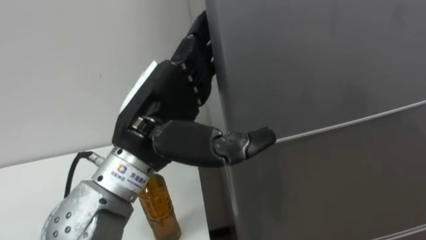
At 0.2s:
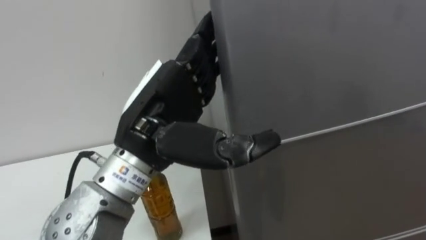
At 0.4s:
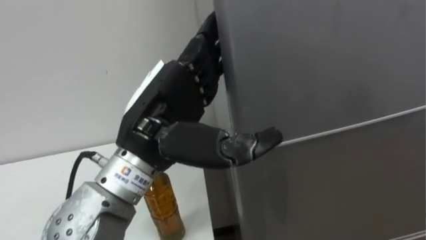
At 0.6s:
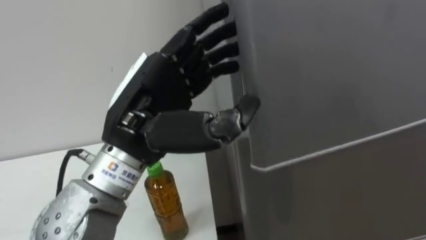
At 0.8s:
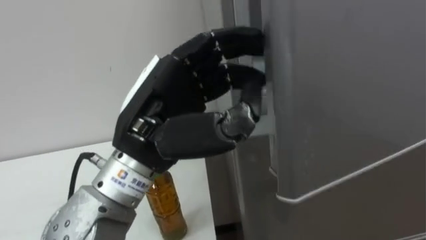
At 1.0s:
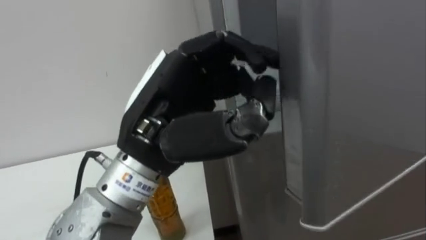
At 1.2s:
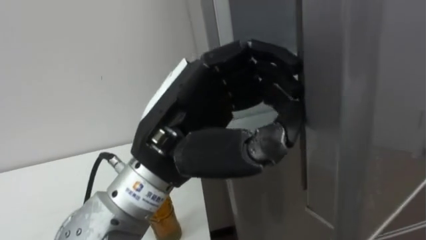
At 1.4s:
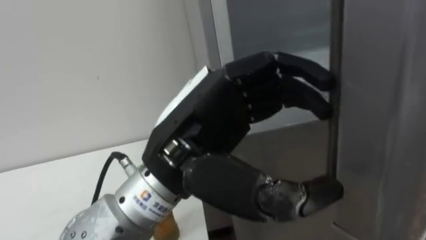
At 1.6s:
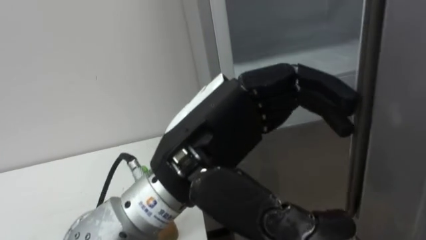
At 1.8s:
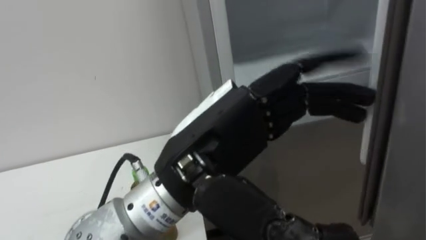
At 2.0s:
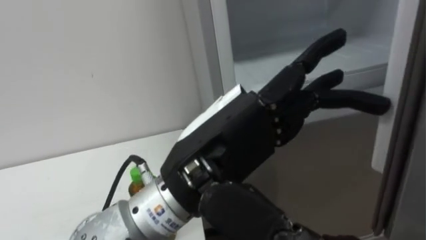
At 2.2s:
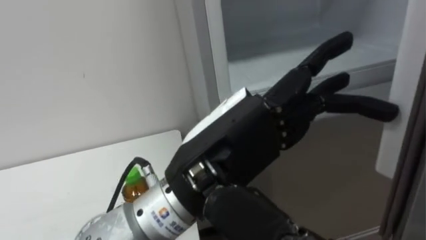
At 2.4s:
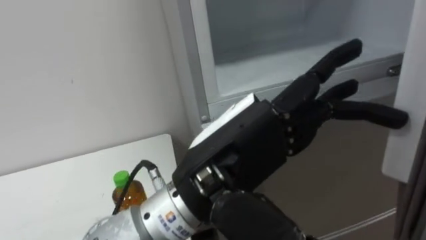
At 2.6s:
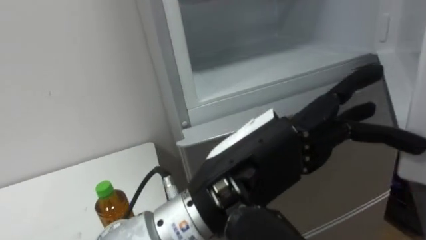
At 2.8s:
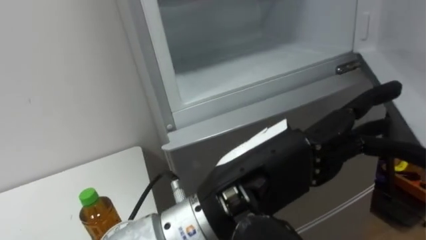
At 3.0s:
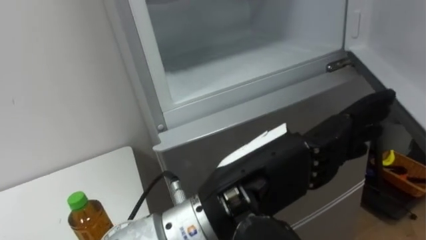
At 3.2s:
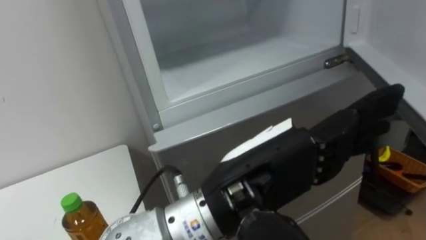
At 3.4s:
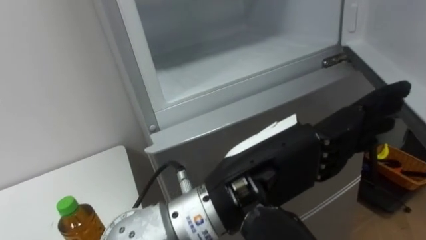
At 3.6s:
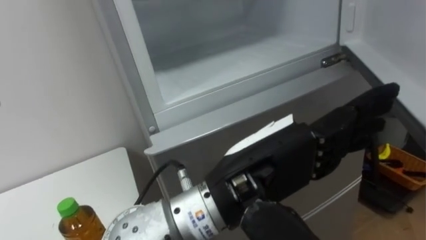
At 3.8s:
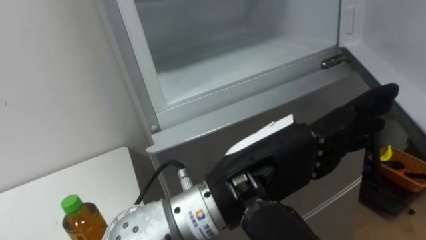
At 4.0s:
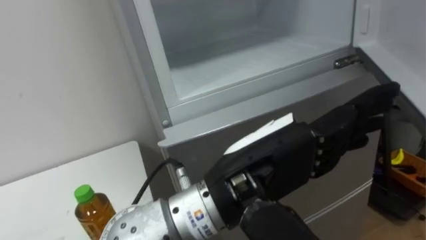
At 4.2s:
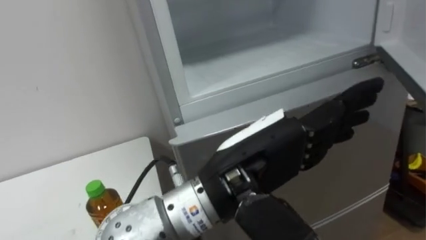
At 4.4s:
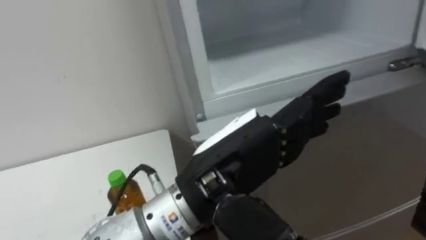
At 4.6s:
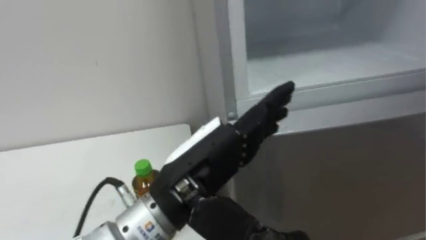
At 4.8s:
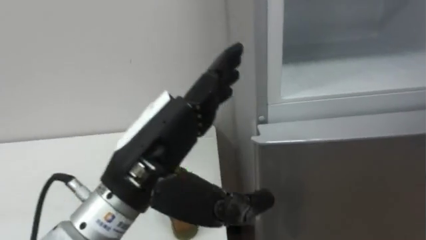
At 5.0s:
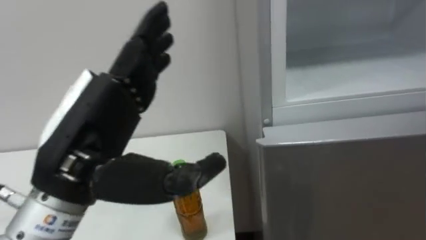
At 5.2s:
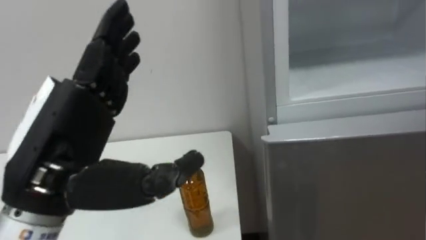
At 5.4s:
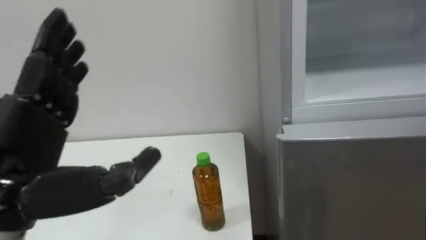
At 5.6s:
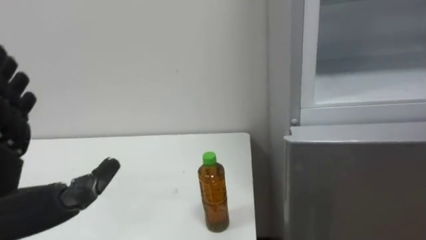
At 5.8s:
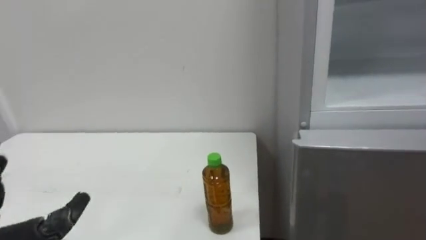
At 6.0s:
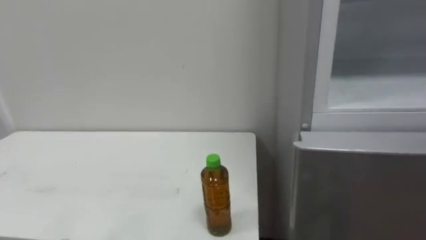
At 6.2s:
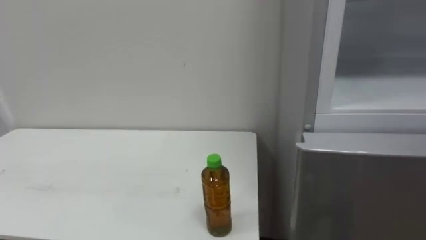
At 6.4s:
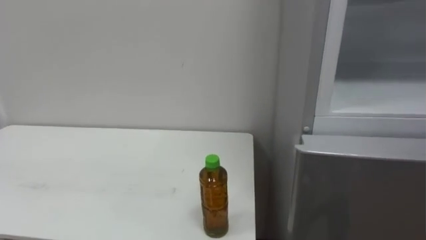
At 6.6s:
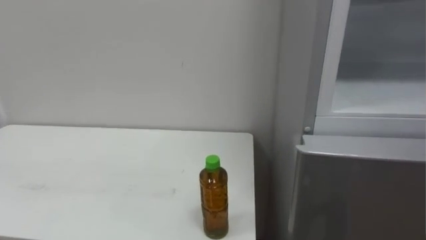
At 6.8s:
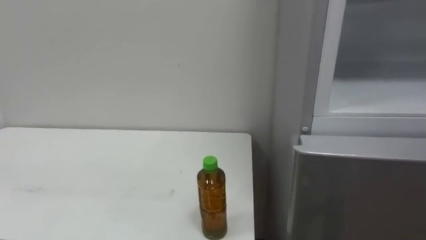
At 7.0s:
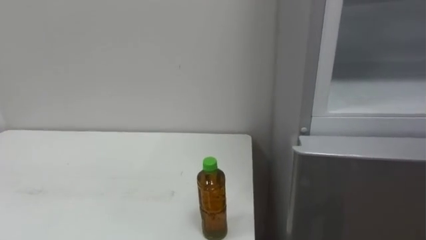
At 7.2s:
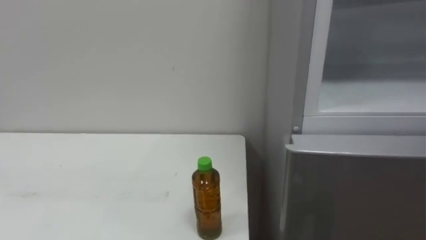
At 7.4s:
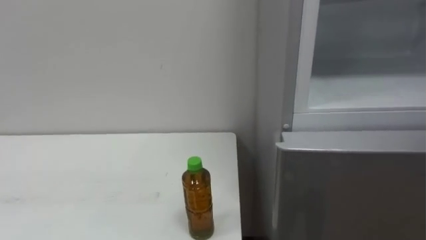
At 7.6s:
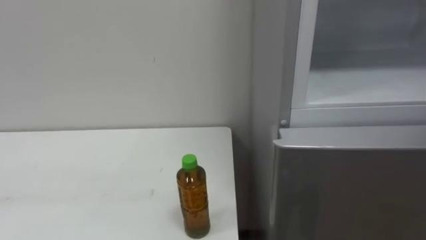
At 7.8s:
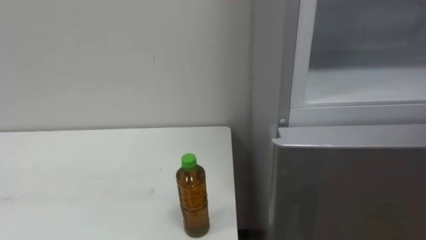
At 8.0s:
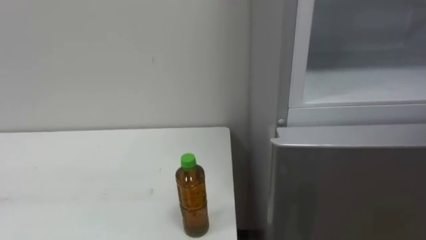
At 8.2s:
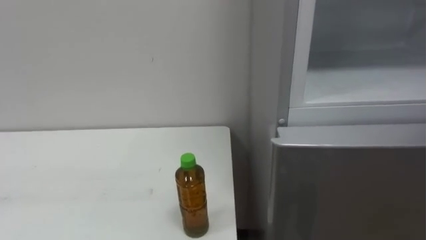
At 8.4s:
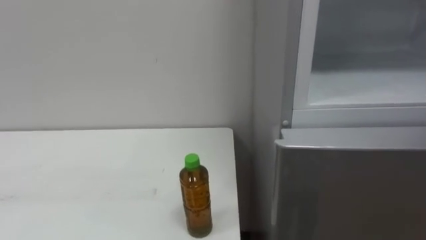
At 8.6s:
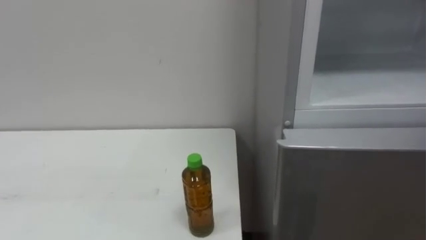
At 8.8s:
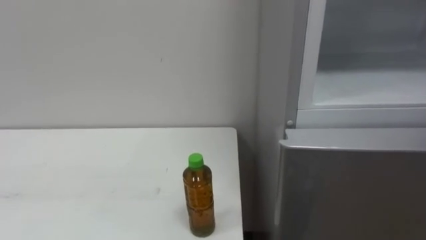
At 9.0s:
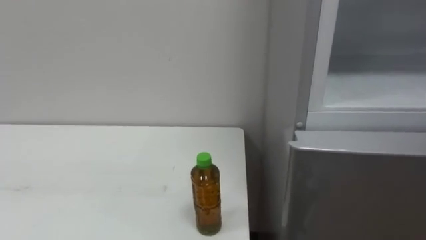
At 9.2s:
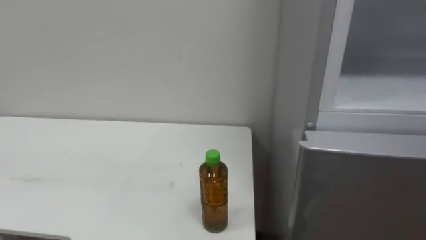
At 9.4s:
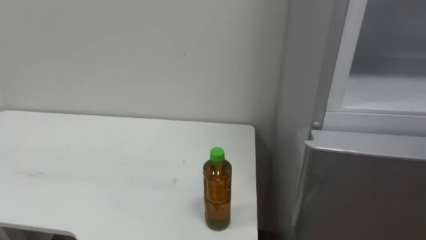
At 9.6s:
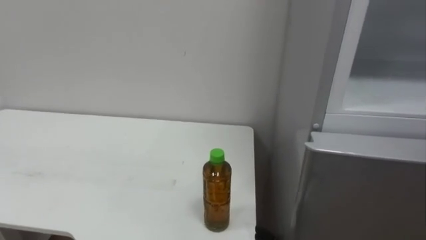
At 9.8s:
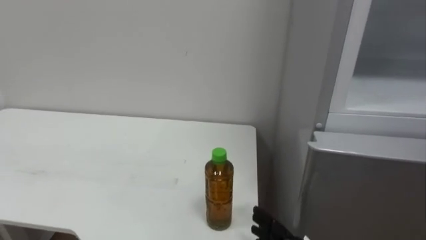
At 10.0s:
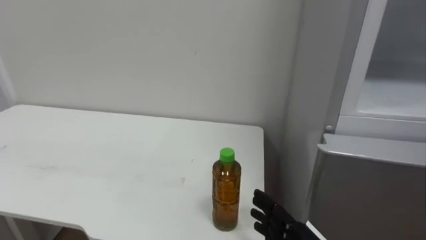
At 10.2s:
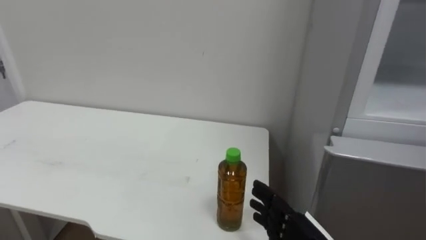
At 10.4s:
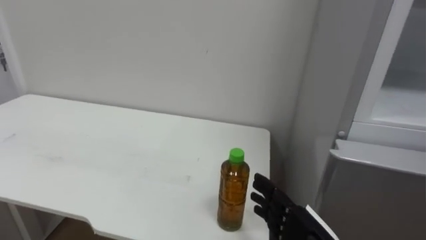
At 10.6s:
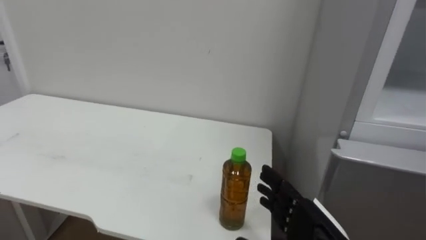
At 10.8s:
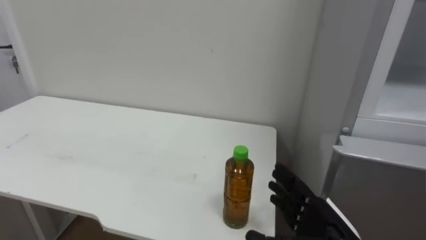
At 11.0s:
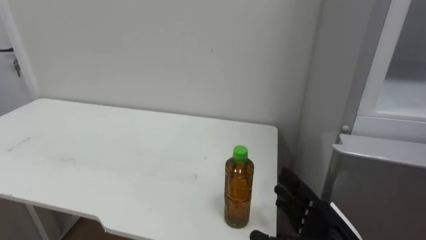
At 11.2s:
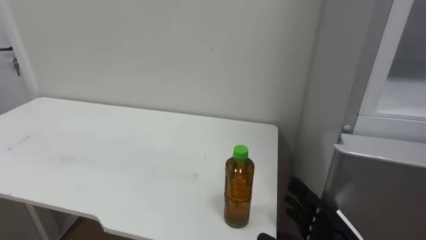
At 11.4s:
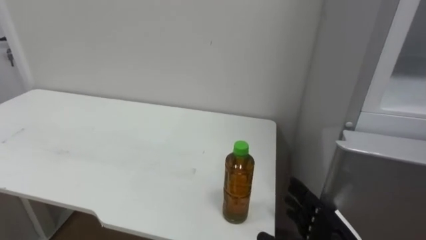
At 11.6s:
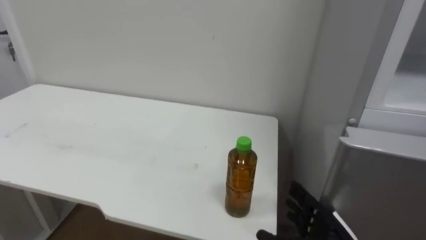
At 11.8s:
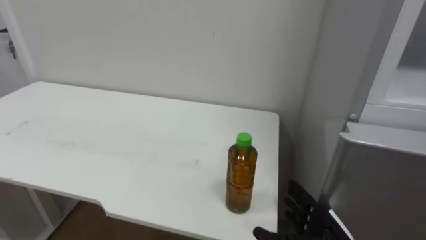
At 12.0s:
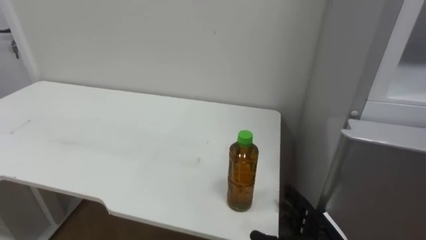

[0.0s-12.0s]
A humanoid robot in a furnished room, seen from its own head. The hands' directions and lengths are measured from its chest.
Task of the whole recording: Open the upper refrigerator door, put the drink from the table into the refrigerator, and then close the refrigerator door.
0.0s to 1.6s: The left hand goes approximately 10 cm to the right and backward, and closes and opens again.
1.6s to 3.0s: The left hand moves about 5 cm.
10.4s to 12.0s: The right hand moves downward, roughly 5 cm.

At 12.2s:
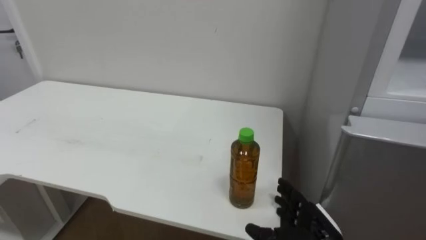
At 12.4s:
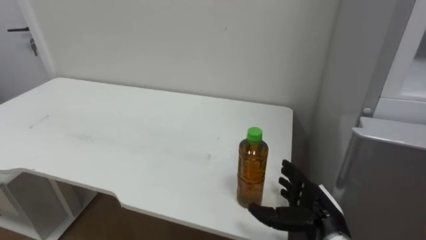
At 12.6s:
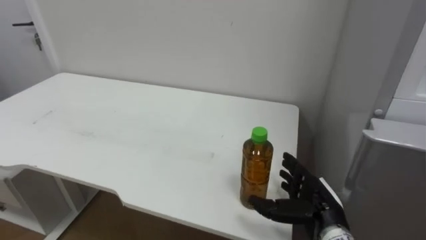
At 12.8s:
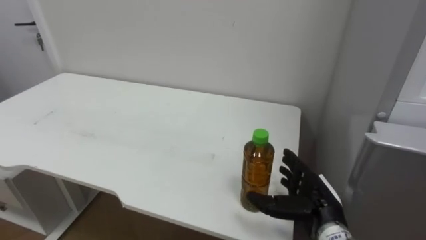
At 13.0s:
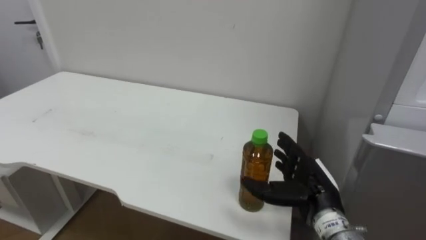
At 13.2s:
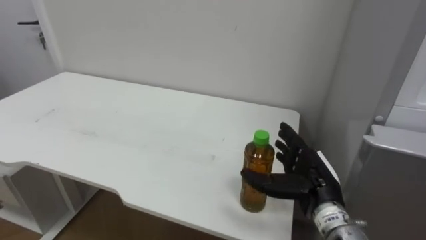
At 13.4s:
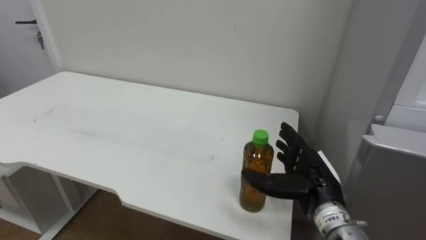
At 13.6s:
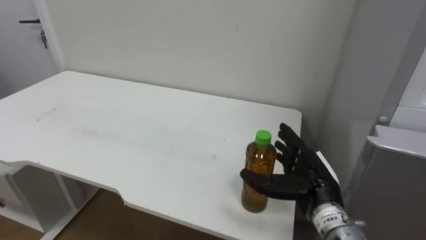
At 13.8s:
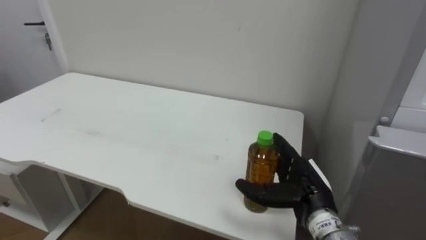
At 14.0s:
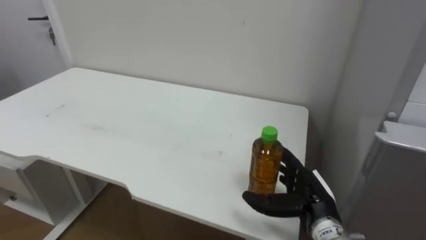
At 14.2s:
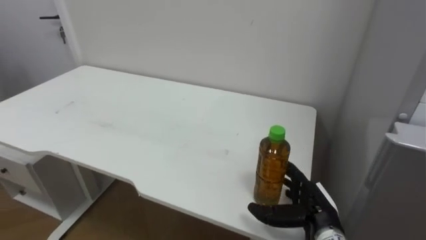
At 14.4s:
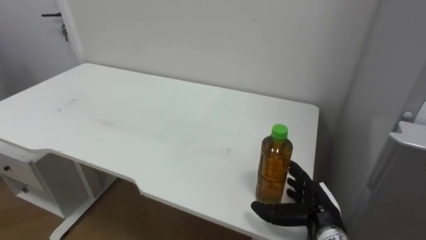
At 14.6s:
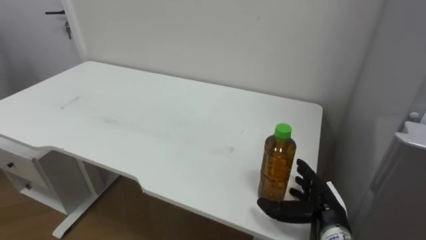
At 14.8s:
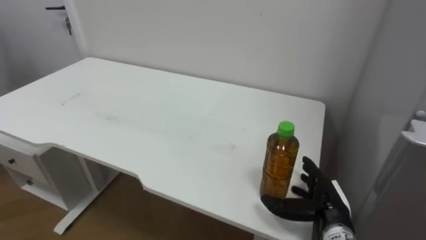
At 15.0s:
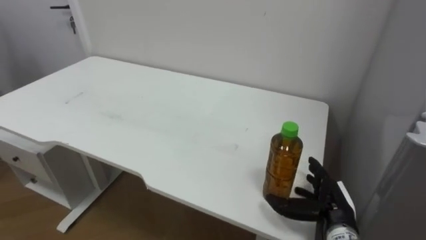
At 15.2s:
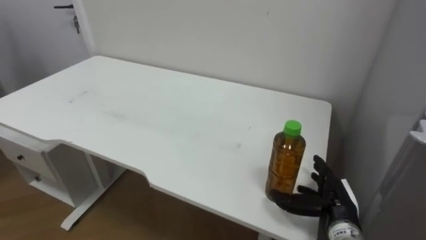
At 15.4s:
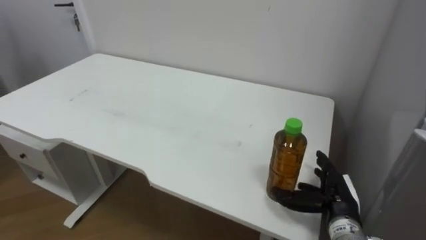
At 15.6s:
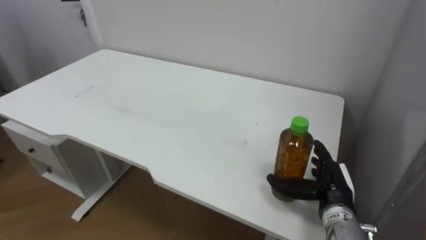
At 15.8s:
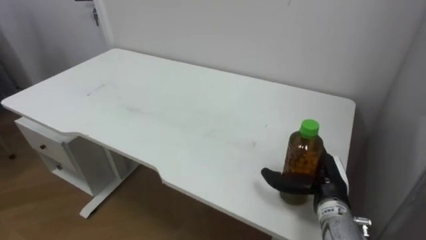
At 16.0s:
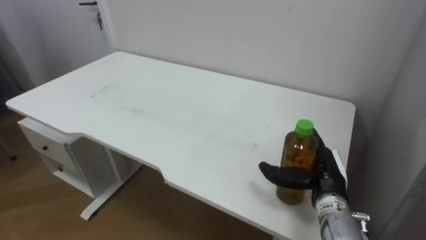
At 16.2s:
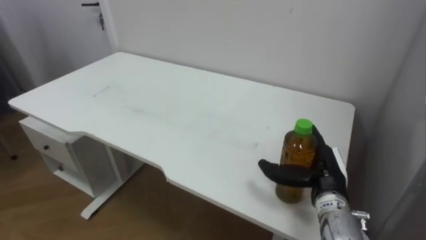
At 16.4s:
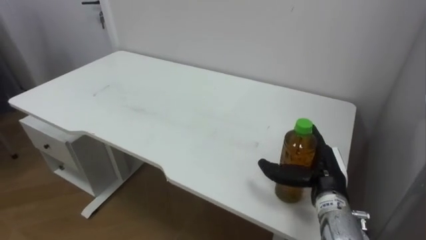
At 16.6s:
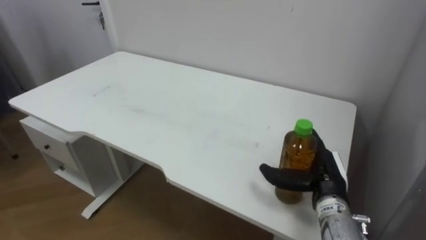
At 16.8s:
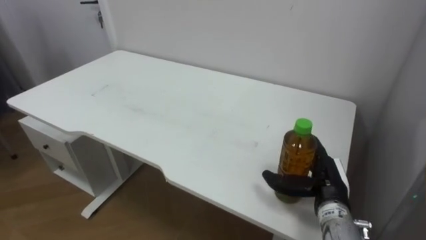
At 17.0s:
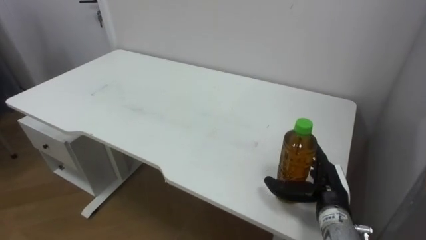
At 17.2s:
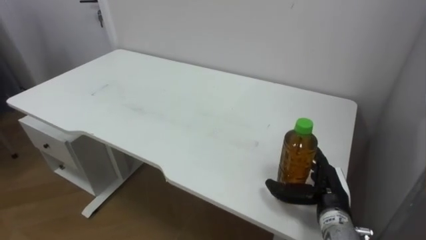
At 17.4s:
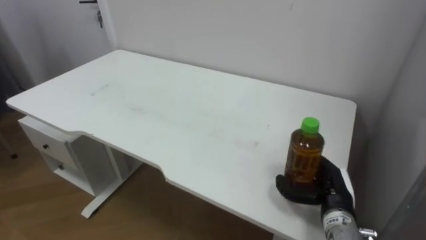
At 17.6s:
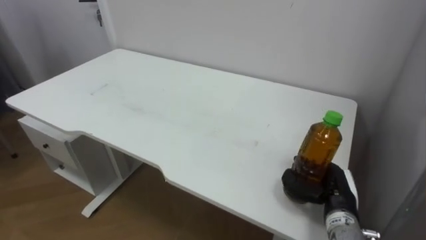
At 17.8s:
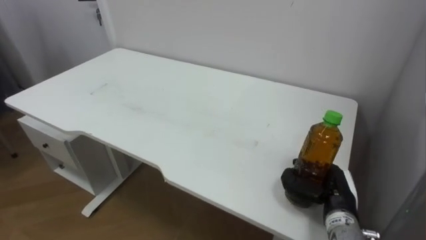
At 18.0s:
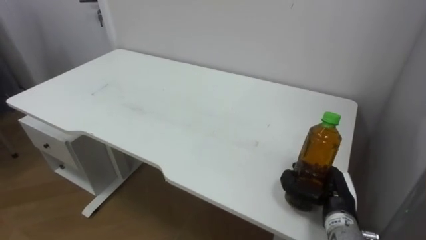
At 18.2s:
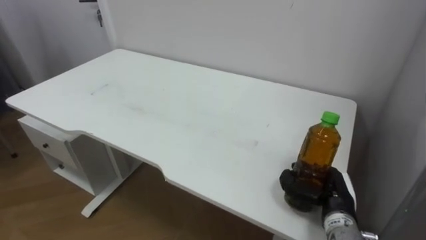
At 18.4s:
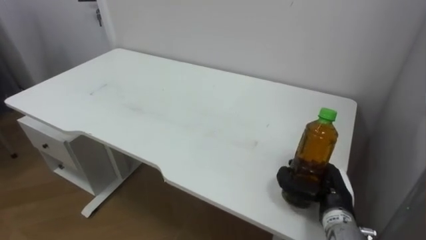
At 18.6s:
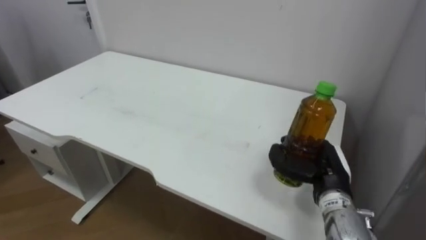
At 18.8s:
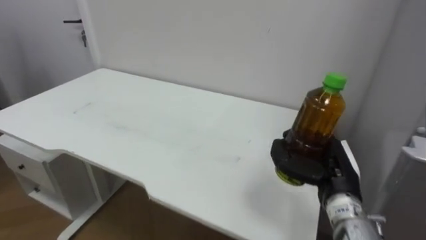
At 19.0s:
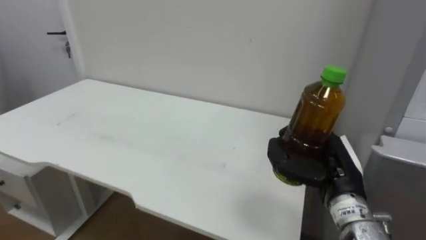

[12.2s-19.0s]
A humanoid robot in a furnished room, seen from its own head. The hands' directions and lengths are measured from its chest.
Task of the whole recording: Open the upper refrigerator door, put the drink from the table into the refrigerator, and then close the refrigerator door.
12.2s to 13.6s: The right hand moves upward, approximately 10 cm.
13.6s to 15.0s: The right hand travels downward by about 5 cm.
15.0s to 16.2s: The right hand travels upward by some 5 cm.
16.2s to 17.6s: The right hand changes place by about 5 cm, and closes its fingers.
17.6s to 19.0s: The right hand goes about 10 cm upward.
